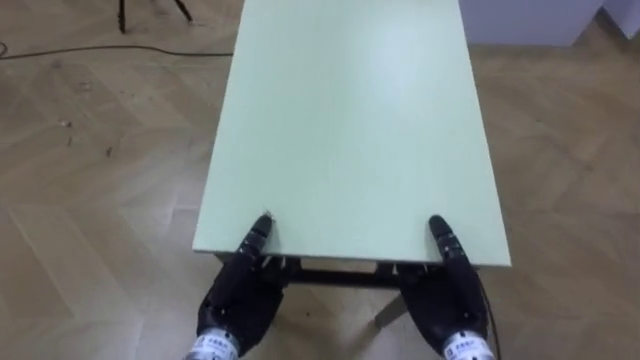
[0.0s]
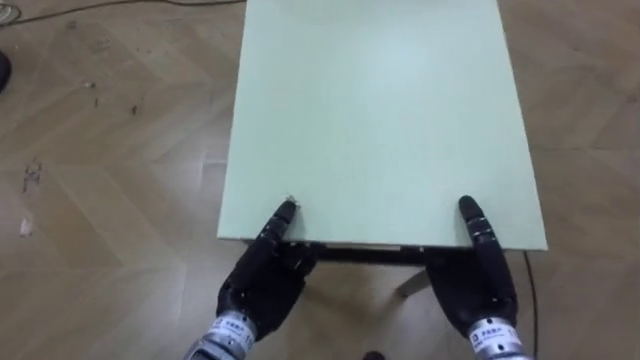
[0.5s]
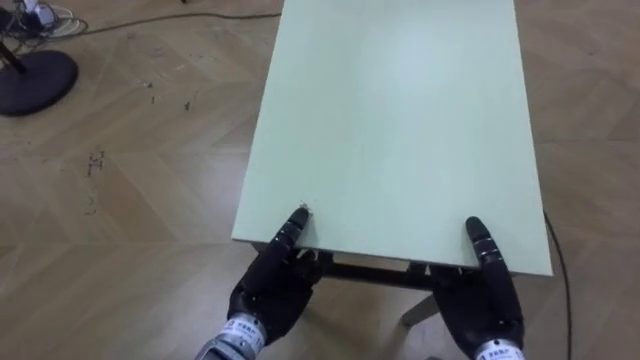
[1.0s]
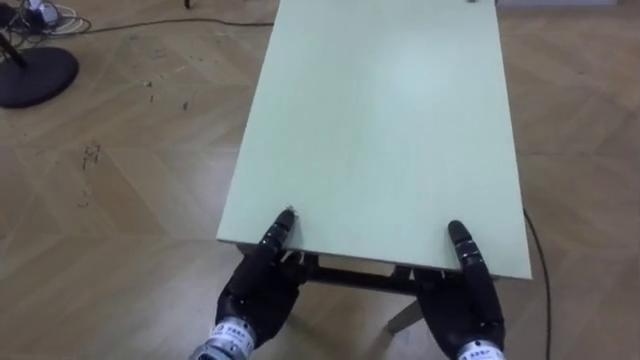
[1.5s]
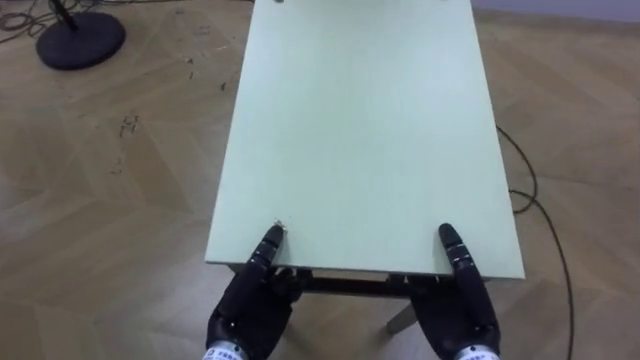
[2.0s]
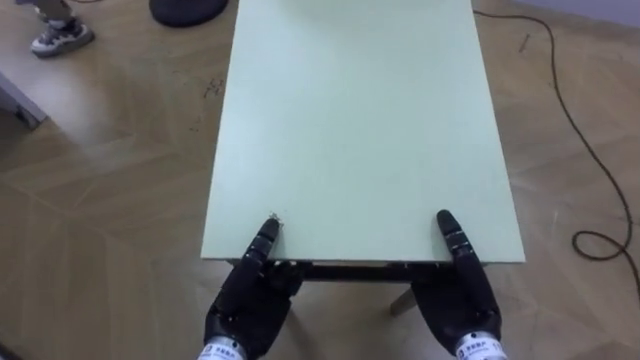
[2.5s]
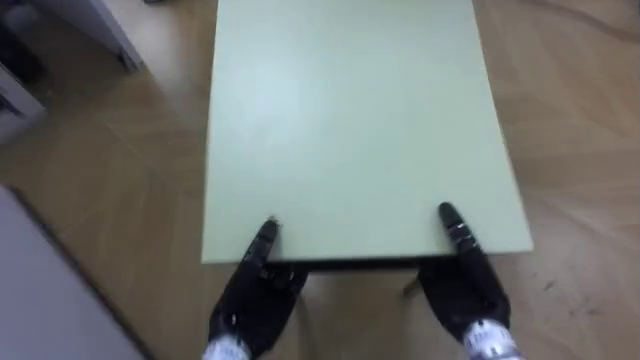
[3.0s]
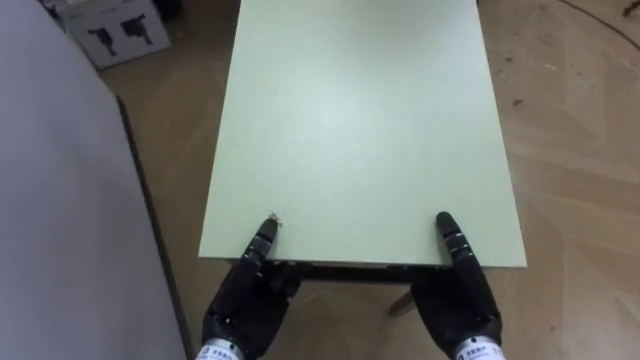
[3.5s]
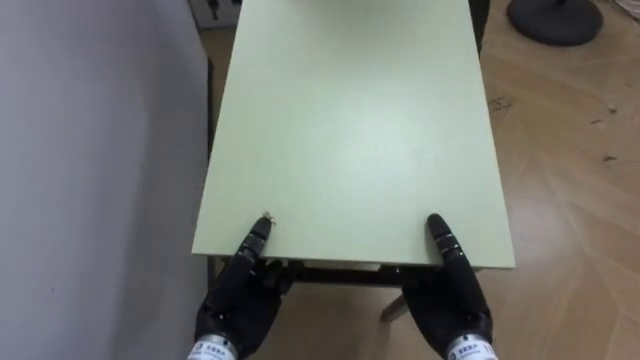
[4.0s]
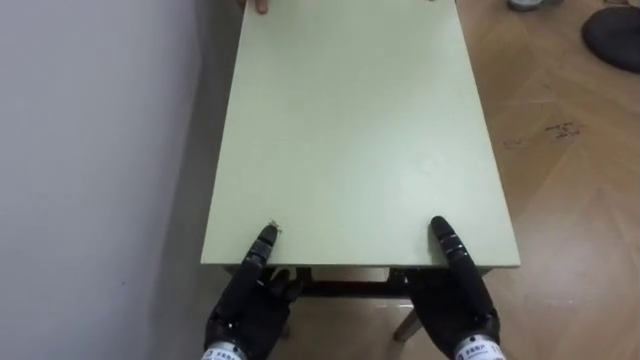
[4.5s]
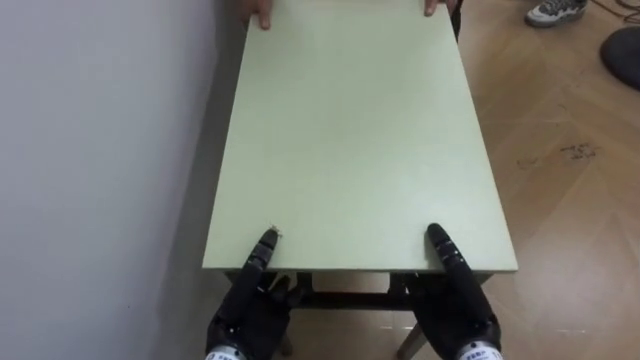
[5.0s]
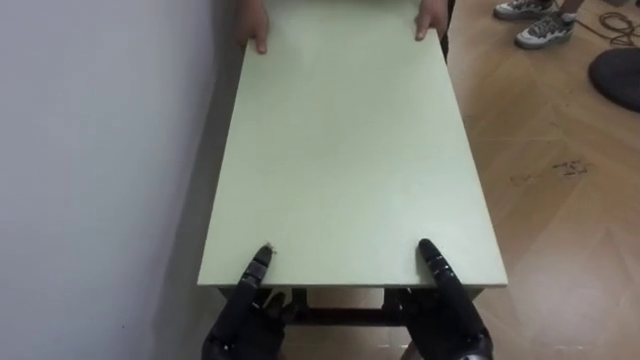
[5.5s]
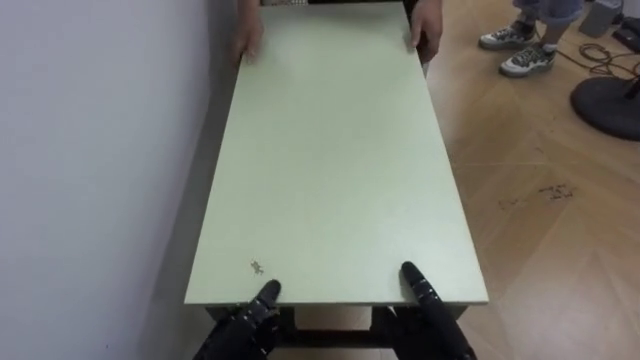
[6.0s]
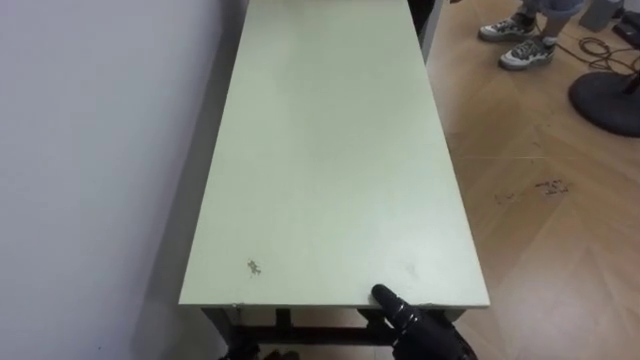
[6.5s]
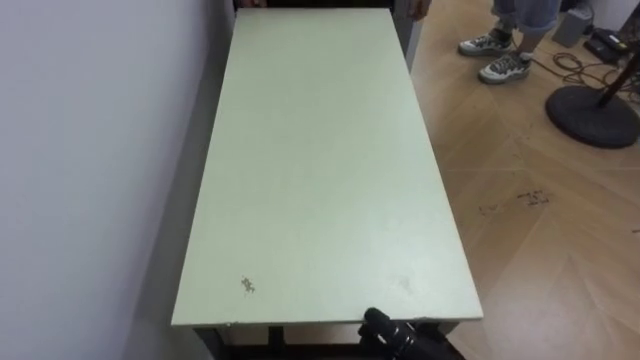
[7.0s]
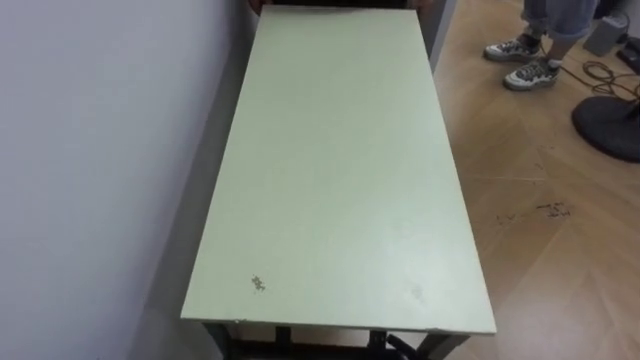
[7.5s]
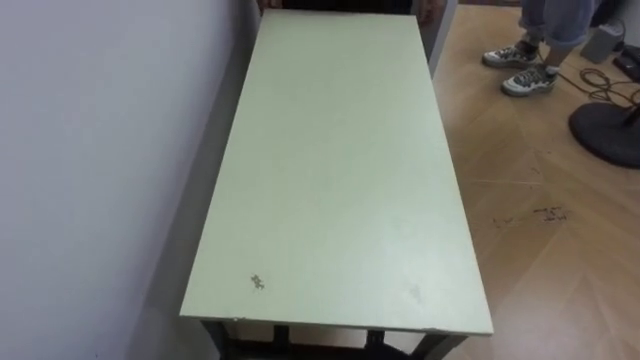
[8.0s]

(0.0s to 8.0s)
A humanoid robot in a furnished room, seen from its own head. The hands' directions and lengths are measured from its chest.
Task of the whole recording: Move the table to the back left with someone.
0.0s - 2.0s: The robot turns to its left by roughly 15 degrees.
2.0s - 4.0s: The robot rotates about 70 degrees to its left.
4.0s - 6.0s: Both hands travel together downward, approximately 5 cm.

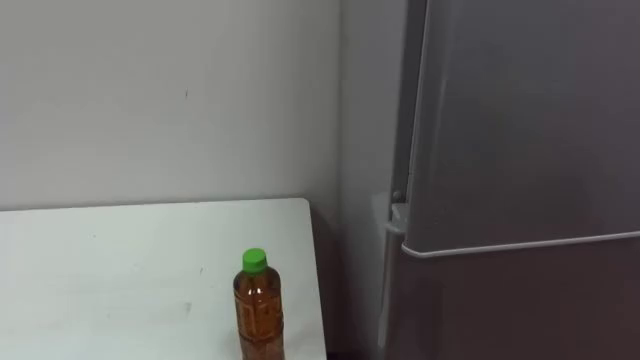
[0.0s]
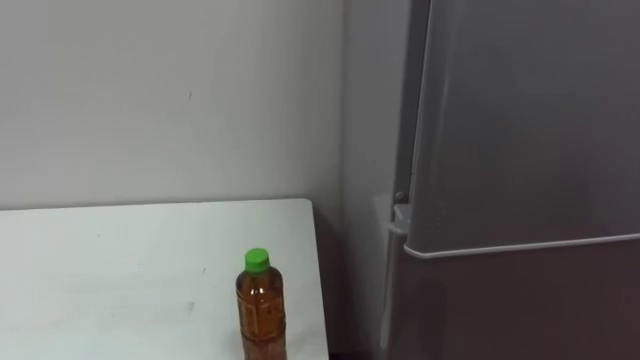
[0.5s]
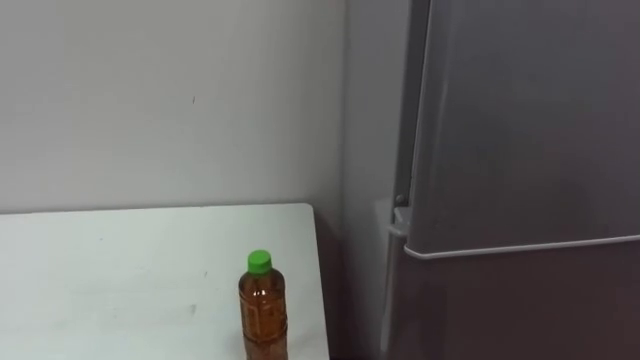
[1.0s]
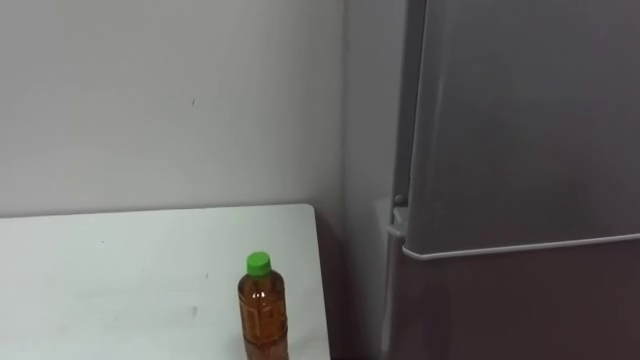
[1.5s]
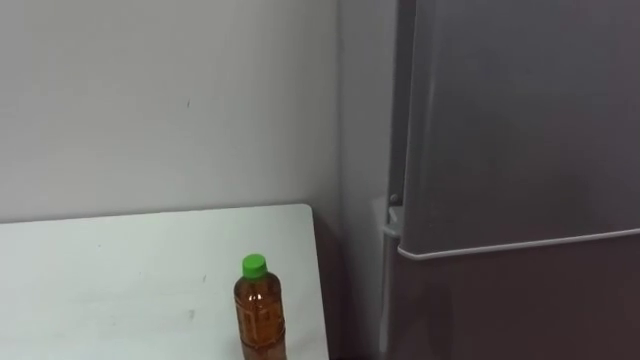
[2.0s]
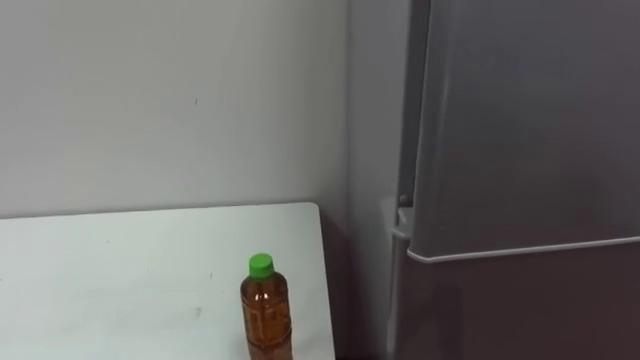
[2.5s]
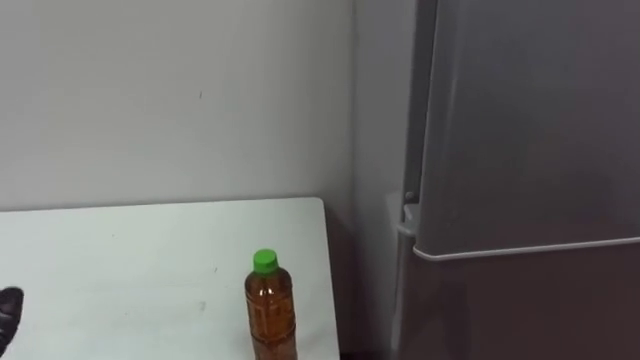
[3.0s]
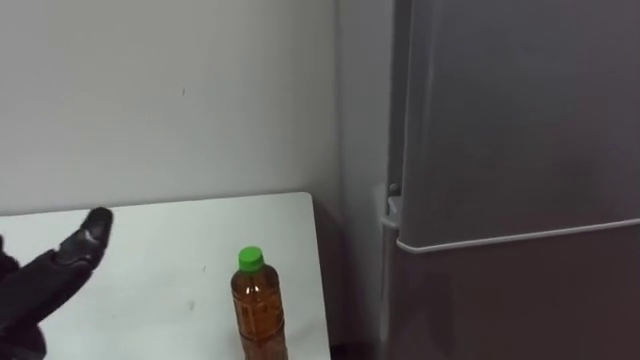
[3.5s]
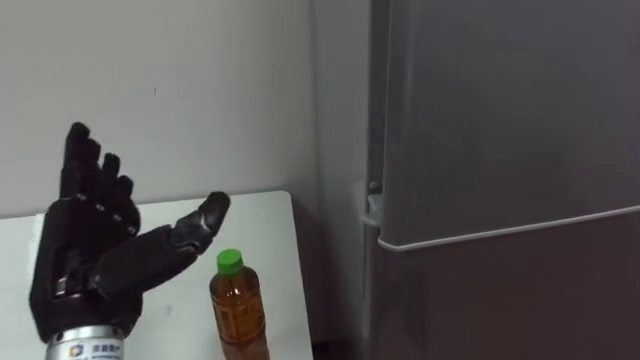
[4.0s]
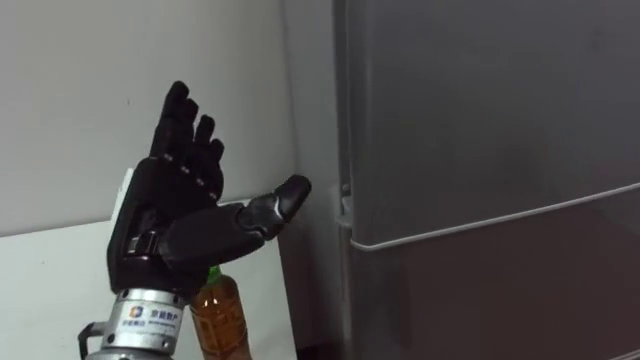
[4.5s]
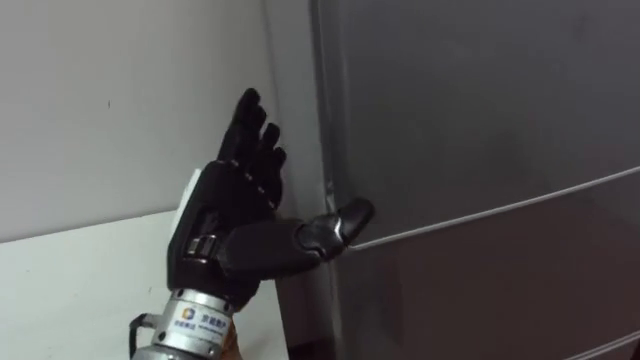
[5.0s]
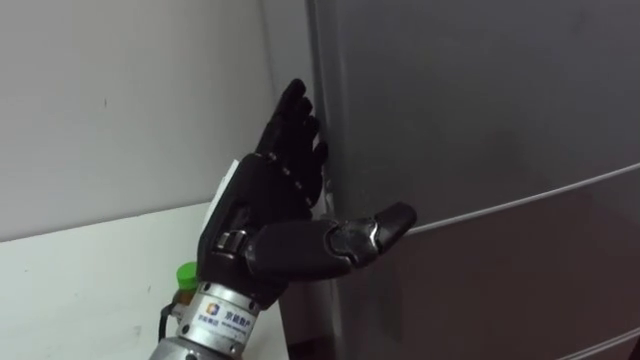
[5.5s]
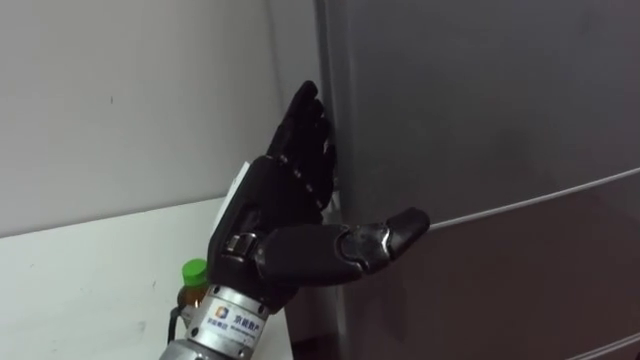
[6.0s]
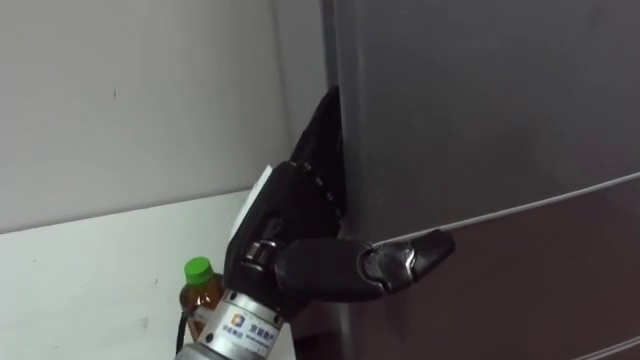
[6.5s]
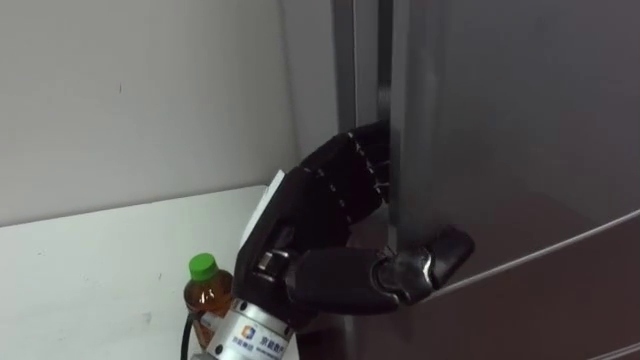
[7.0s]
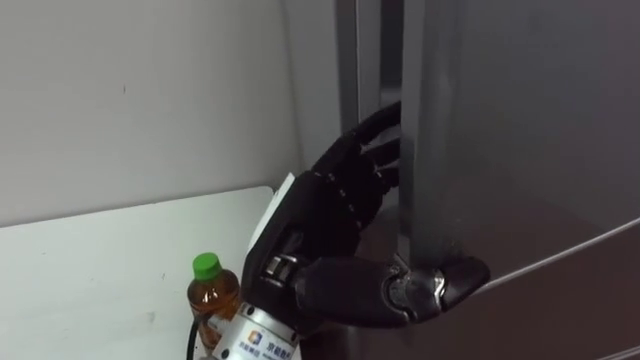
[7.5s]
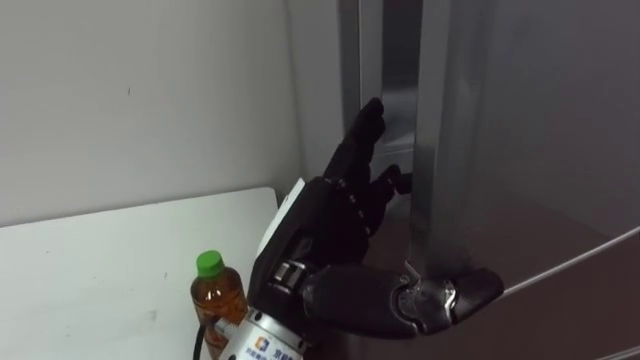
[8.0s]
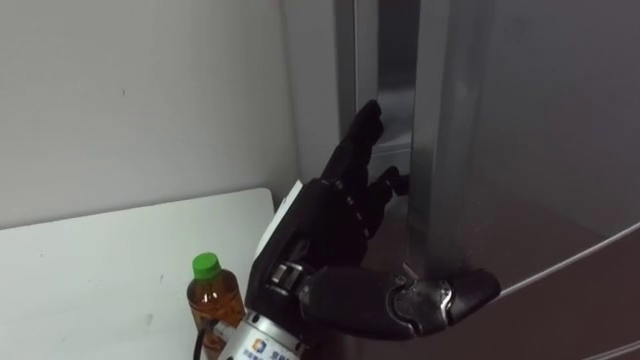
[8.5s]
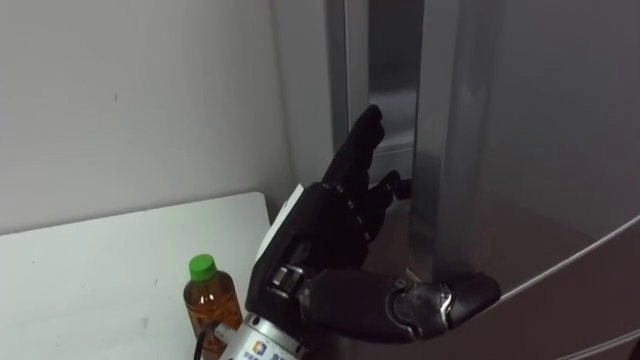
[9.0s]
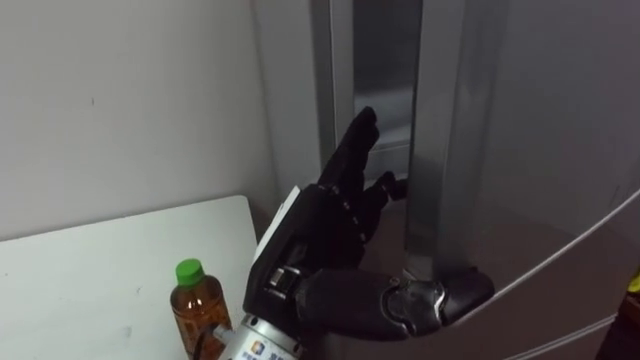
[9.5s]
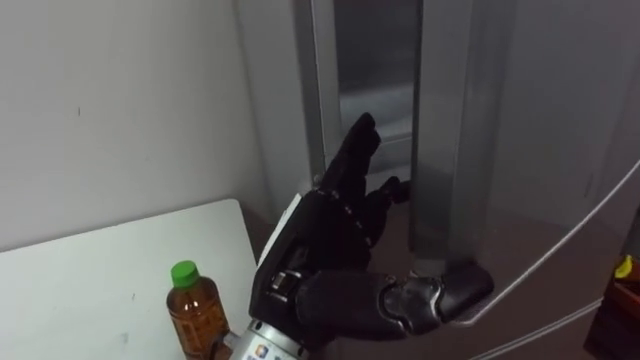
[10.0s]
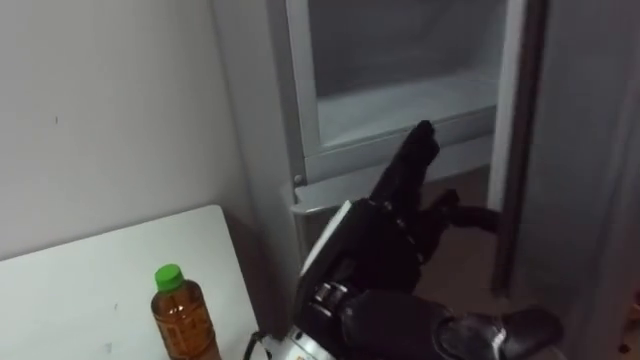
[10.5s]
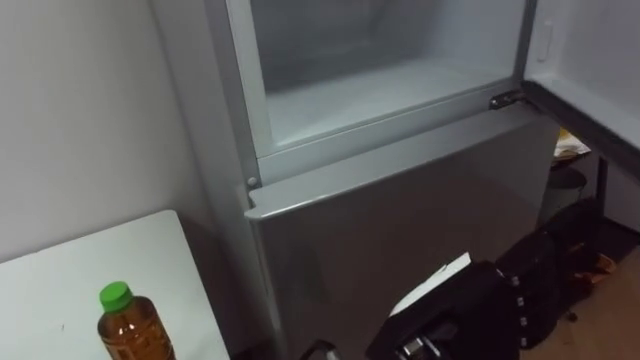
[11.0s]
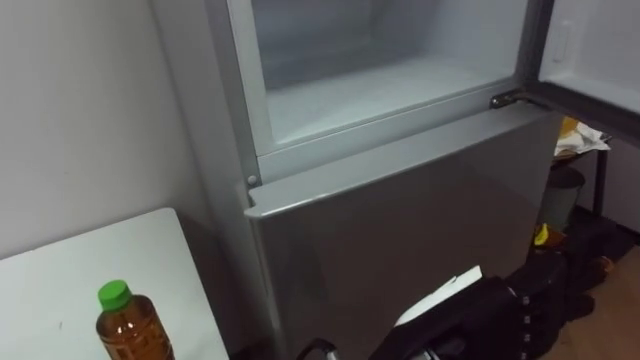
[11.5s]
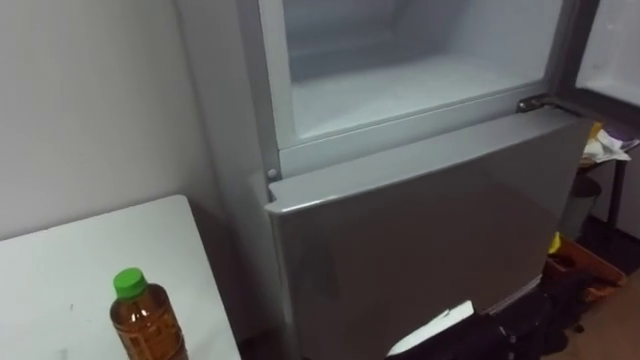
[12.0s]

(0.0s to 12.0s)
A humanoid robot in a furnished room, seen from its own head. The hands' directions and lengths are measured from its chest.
Task of the whole recording: Open the upper refrigerator door, put the drink from the table into the refrigerator, and then close the refrigerator door.
4.0s - 6.0s: The left hand goes approximately 15 cm to the right.
6.0s - 8.0s: The left hand closes, then reopens.
10.0s - 12.0s: The left hand is displaced to the right and backward by some 10 cm.
